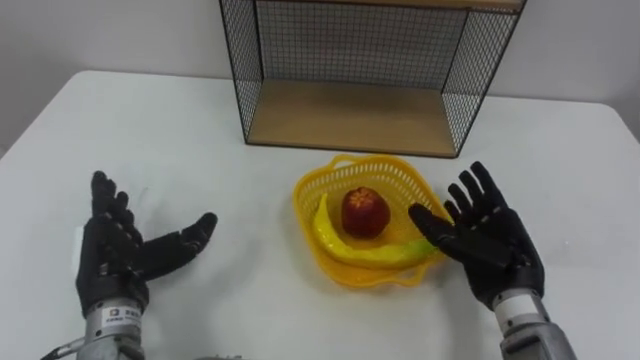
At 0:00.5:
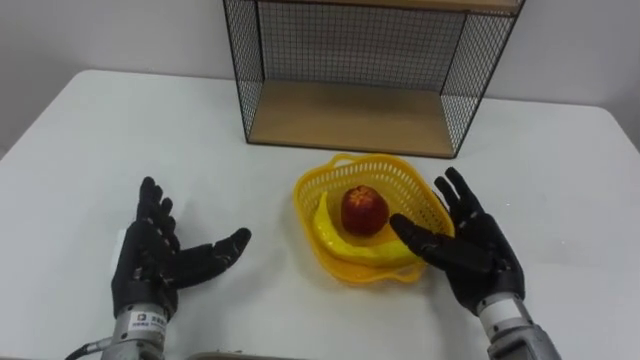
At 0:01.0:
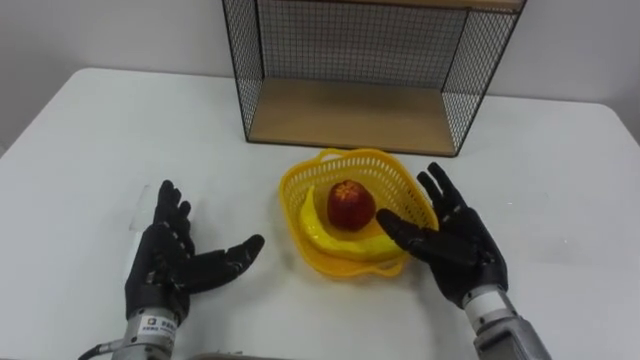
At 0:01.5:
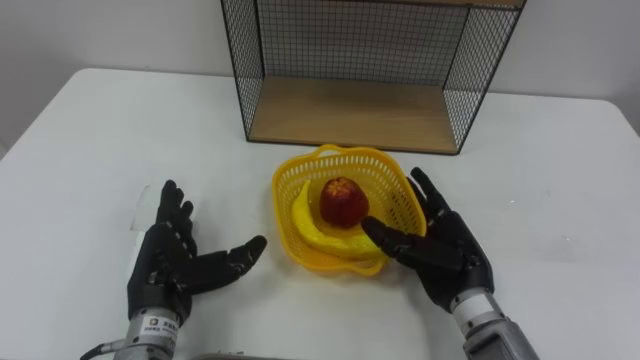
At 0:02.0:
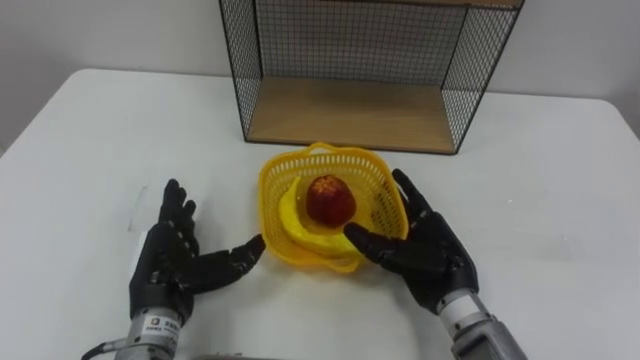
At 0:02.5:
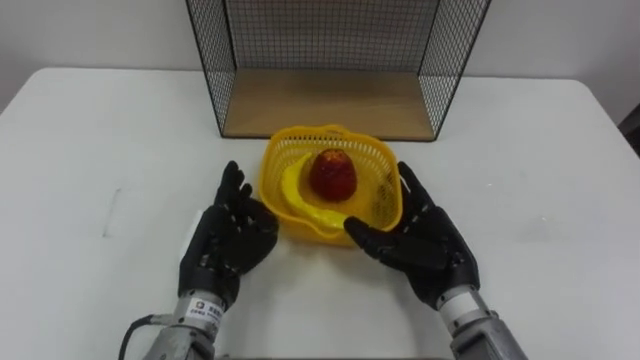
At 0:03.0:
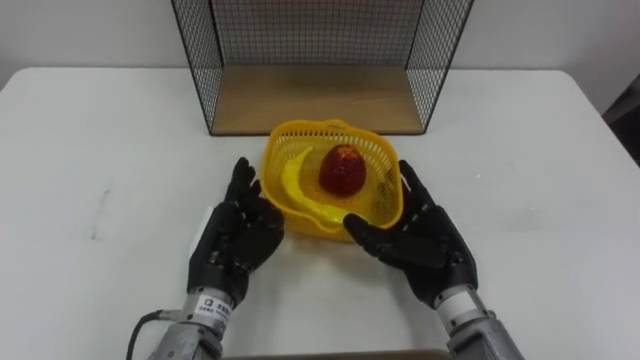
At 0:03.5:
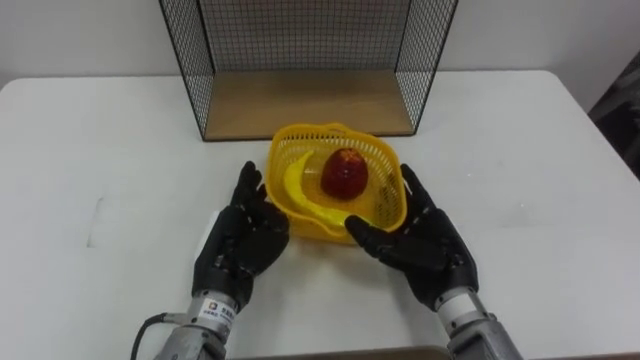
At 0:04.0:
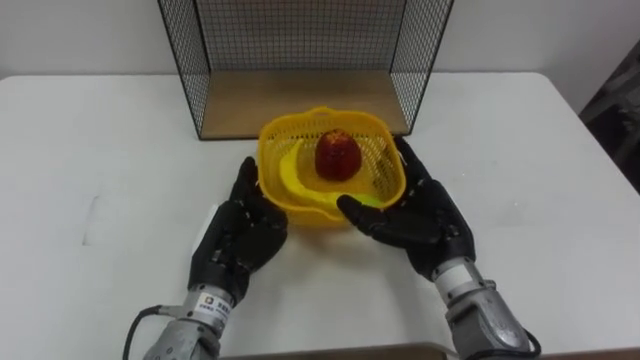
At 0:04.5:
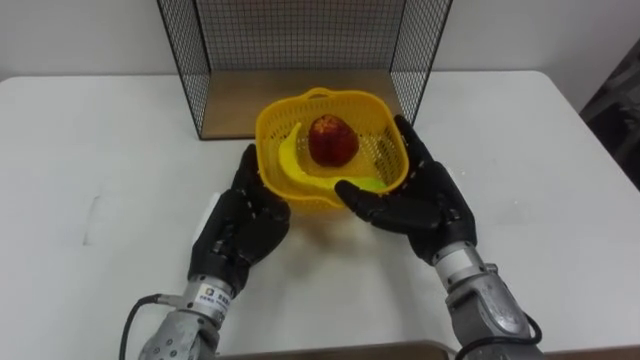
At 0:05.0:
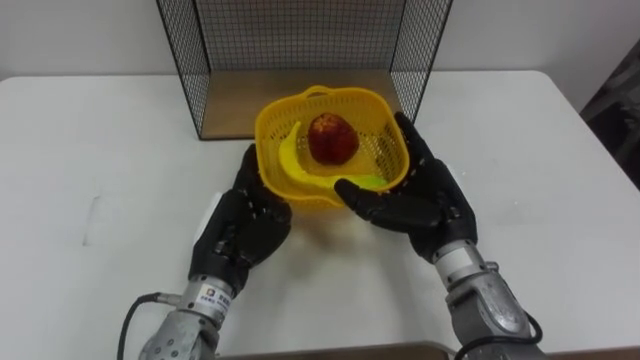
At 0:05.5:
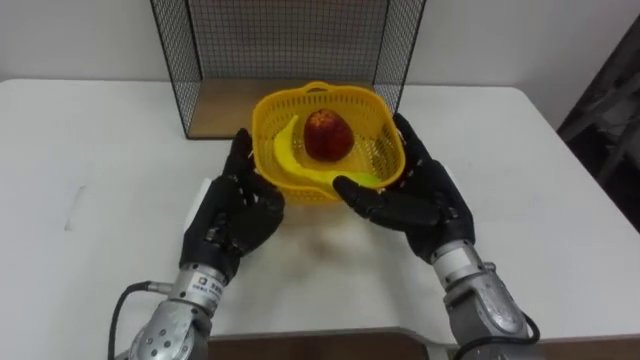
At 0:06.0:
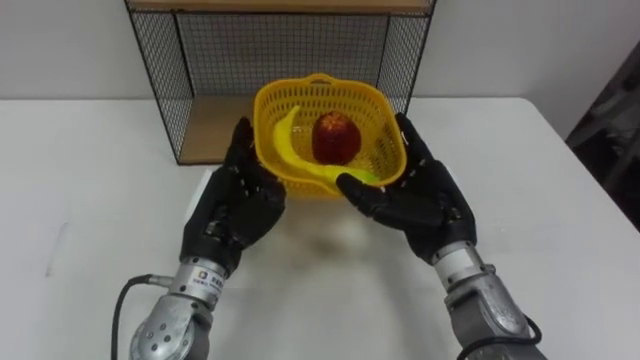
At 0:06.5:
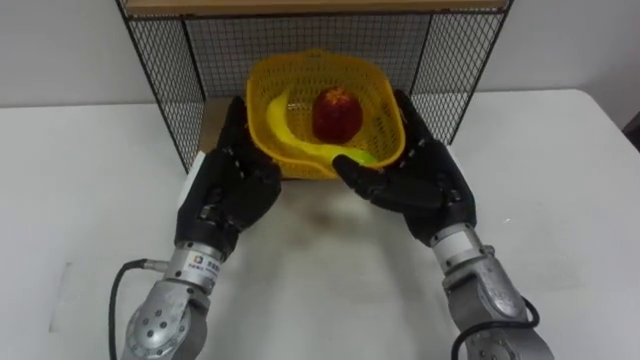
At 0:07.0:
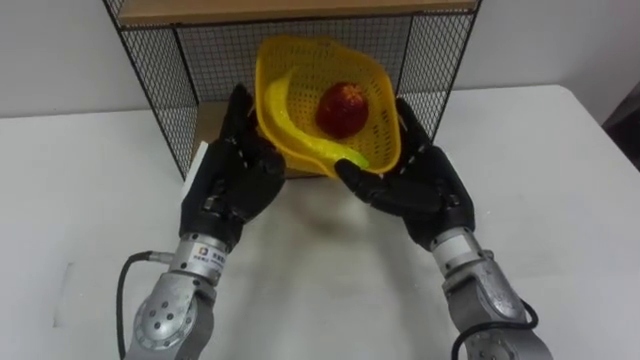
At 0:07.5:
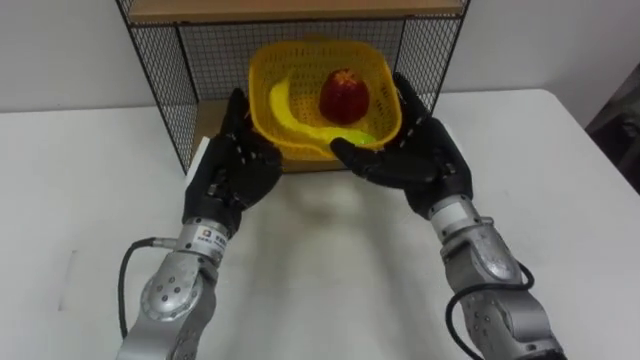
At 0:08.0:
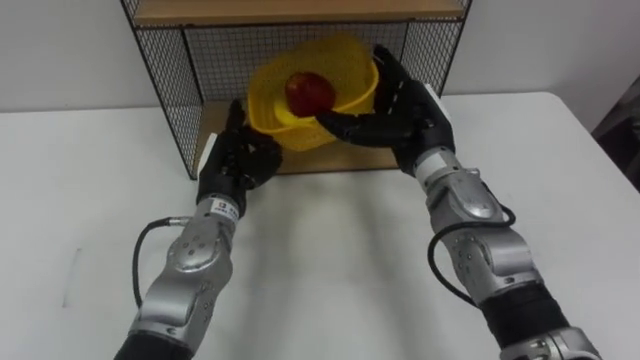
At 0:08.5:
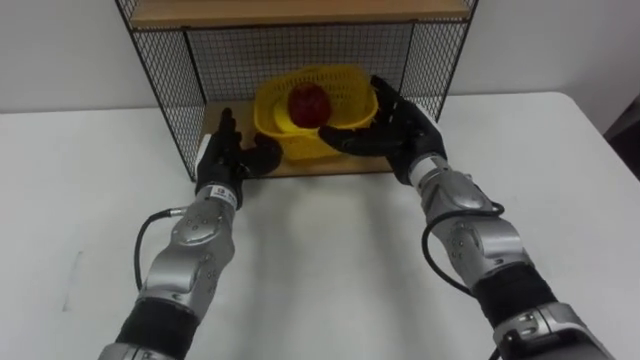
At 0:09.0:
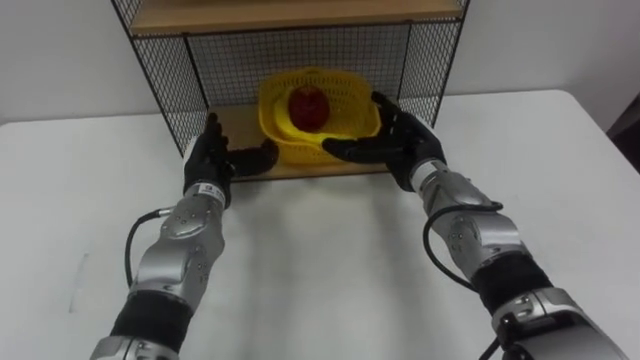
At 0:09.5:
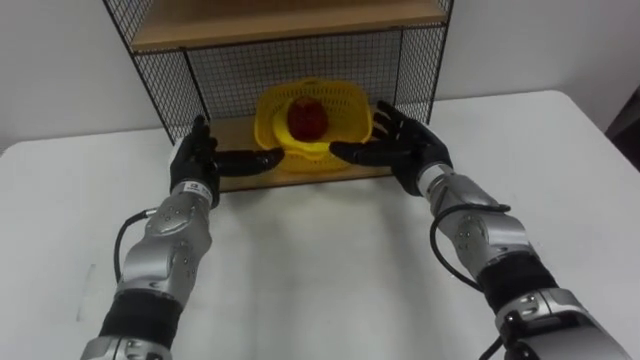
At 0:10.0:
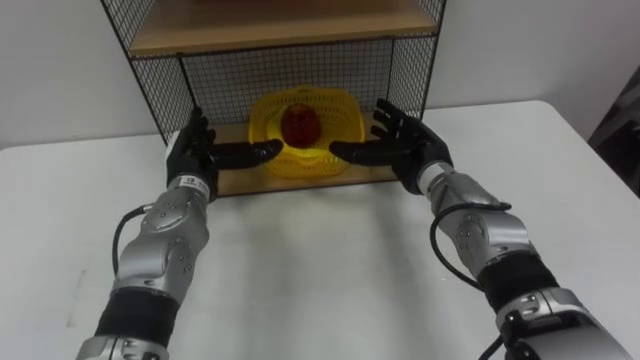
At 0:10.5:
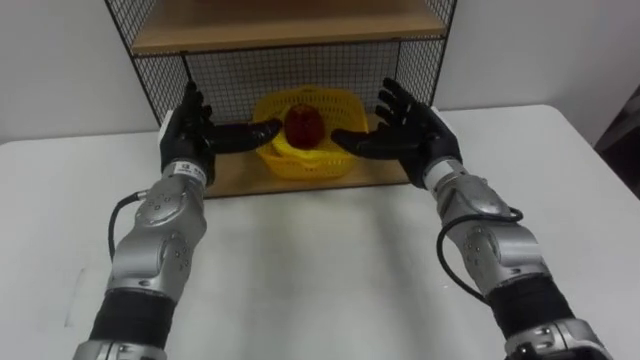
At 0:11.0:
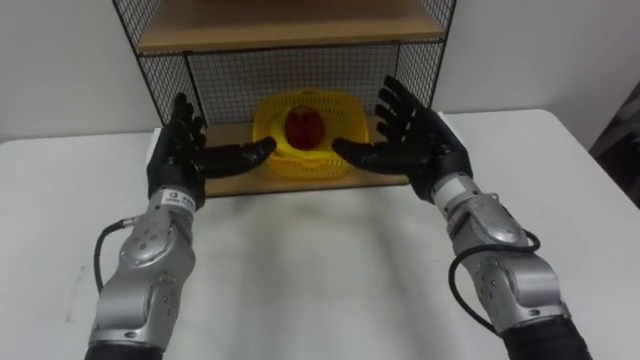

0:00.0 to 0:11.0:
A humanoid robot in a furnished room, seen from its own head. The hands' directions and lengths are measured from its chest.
Task of the whole recording: Put the fruit on the table into the basket, then place the basket on the shelf.
0:00.0 to 0:02.0: The left hand shifts about 5 cm to the right. Meanwhile the right hand goes some 10 cm to the left.
0:02.0 to 0:03.5: The left hand goes roughly 10 cm to the right.
0:03.5 to 0:05.5: The right hand ends up roughly 5 cm from where it was.
0:07.5 to 0:09.0: The left hand travels forward and downward by some 10 cm, while the right hand travels forward by roughly 5 cm.
0:09.0 to 0:11.0: The left hand changes place by some 5 cm. Meanwhile the right hand moves approximately 5 cm.

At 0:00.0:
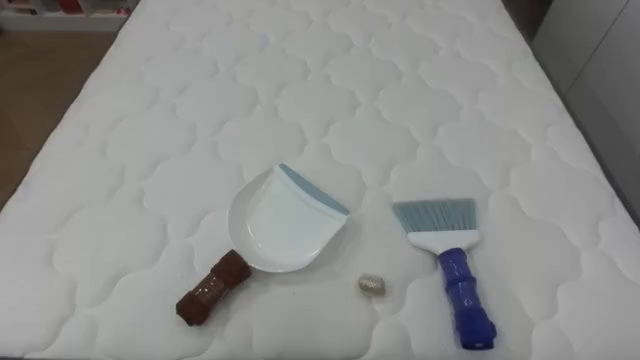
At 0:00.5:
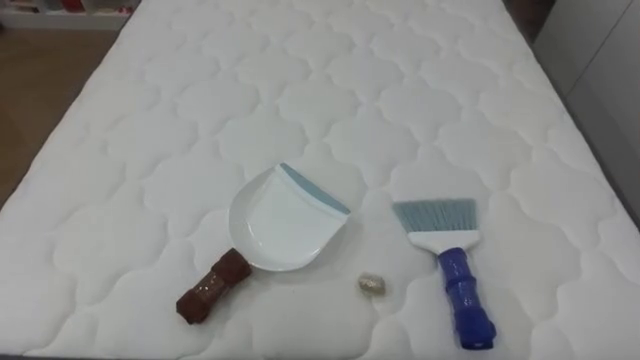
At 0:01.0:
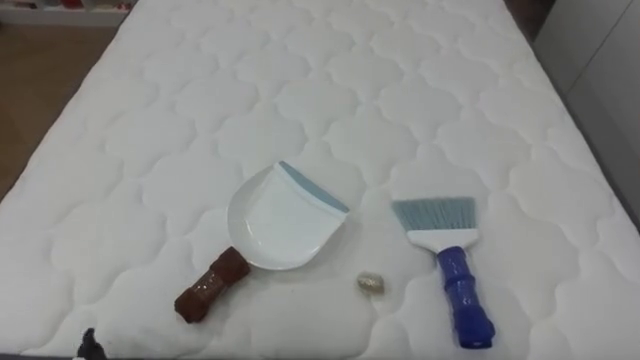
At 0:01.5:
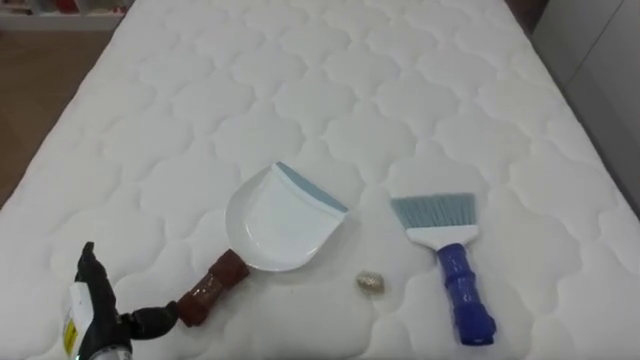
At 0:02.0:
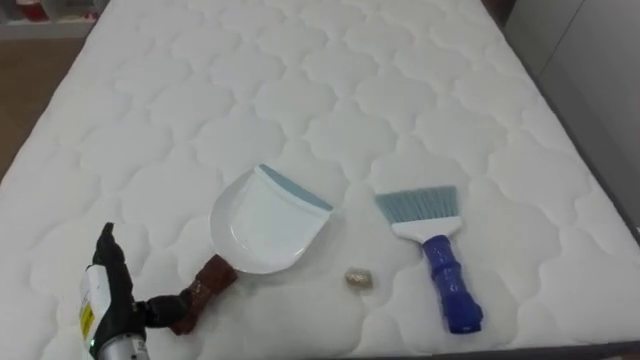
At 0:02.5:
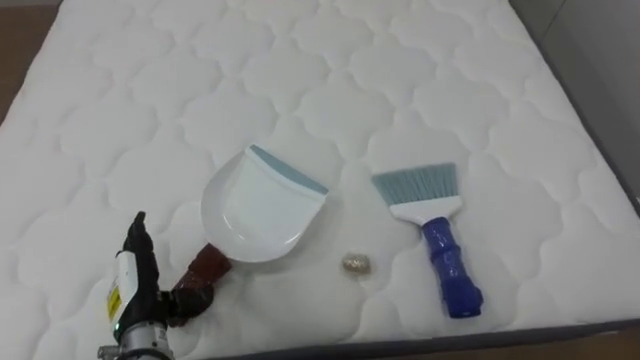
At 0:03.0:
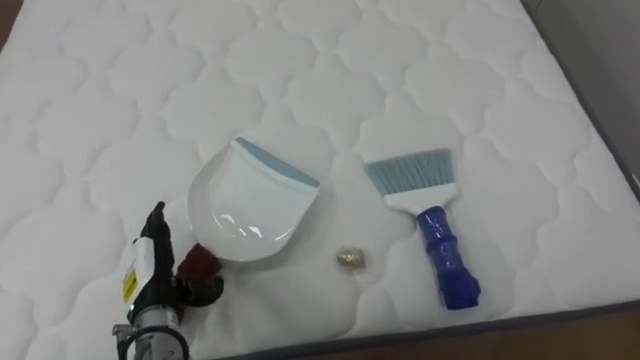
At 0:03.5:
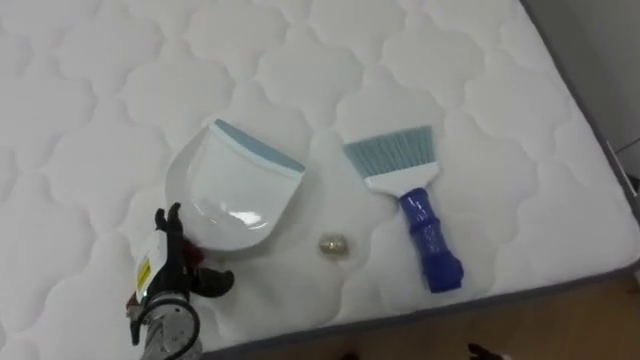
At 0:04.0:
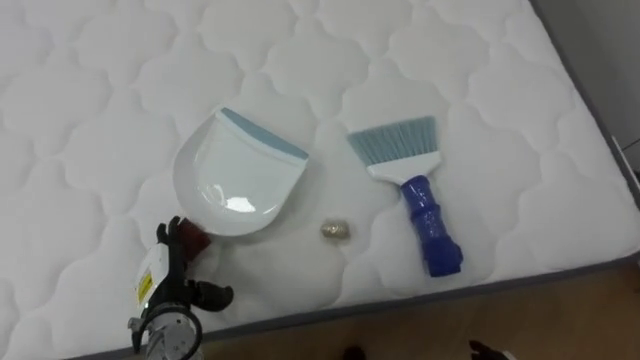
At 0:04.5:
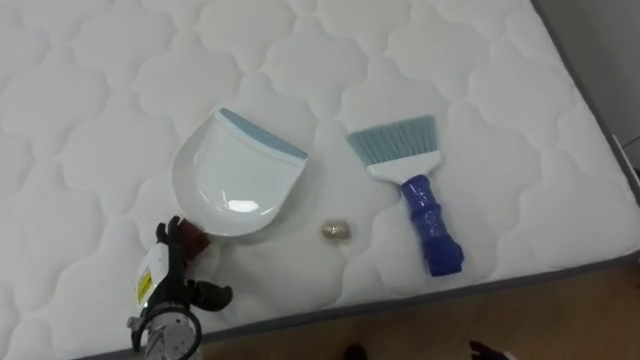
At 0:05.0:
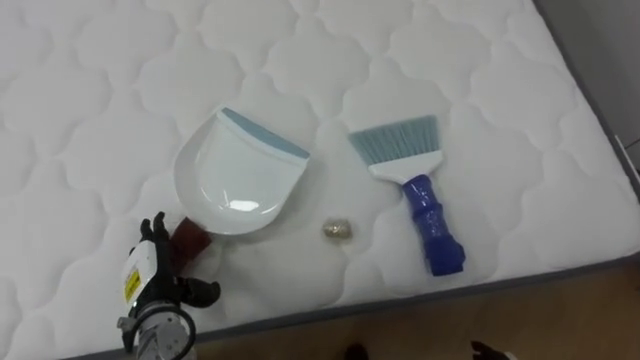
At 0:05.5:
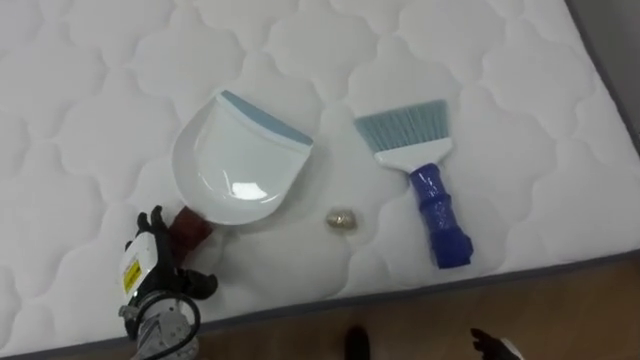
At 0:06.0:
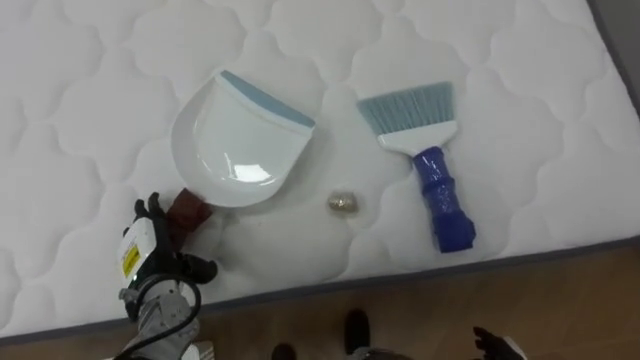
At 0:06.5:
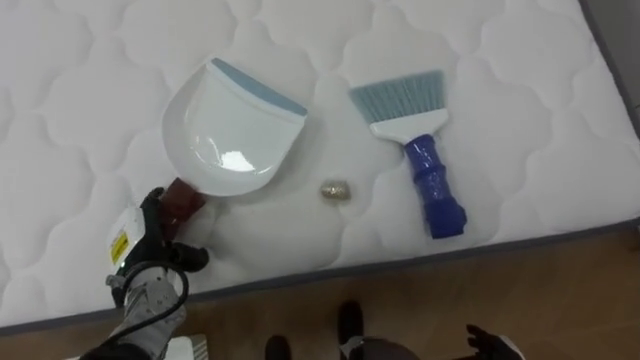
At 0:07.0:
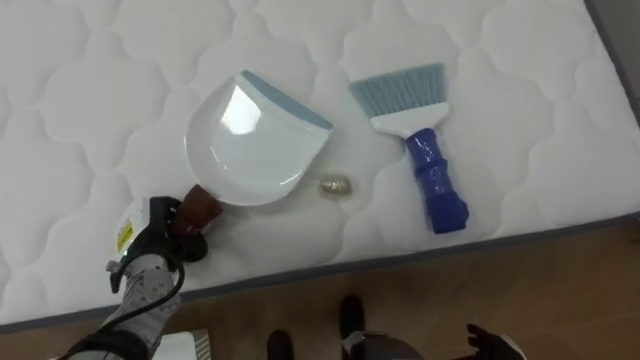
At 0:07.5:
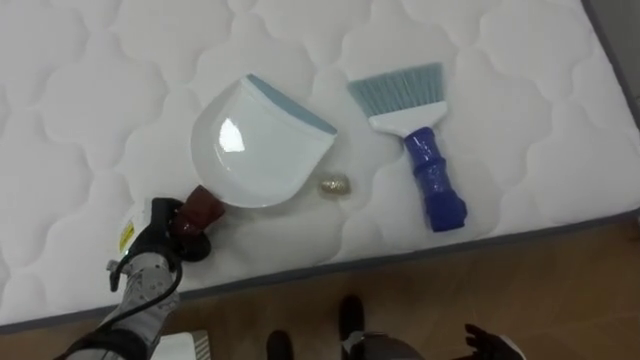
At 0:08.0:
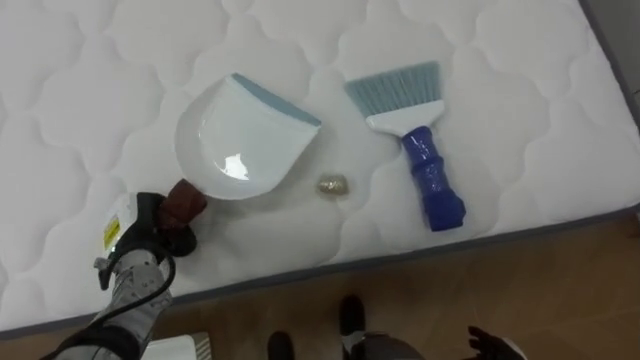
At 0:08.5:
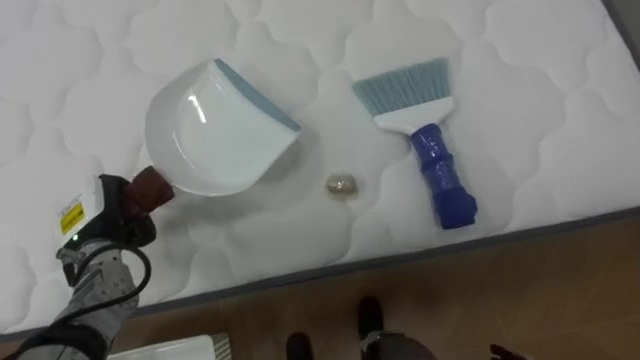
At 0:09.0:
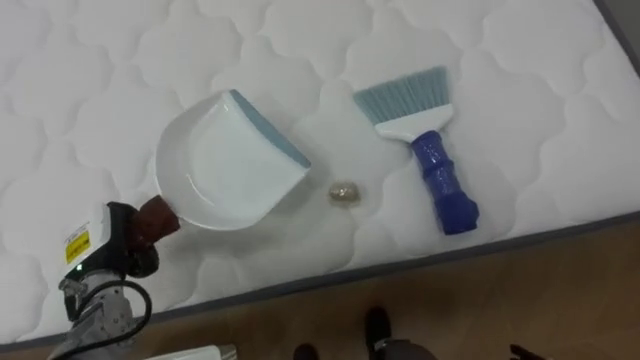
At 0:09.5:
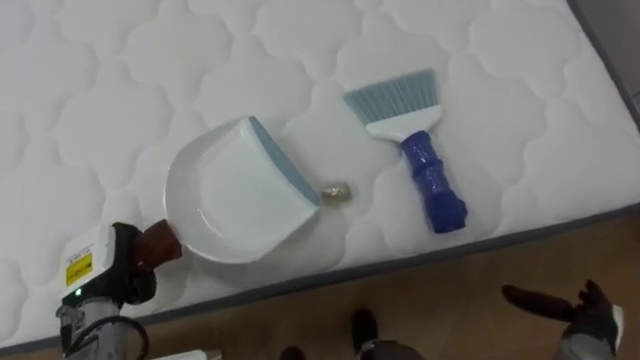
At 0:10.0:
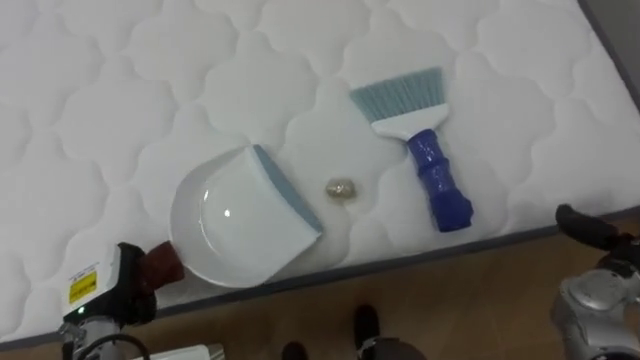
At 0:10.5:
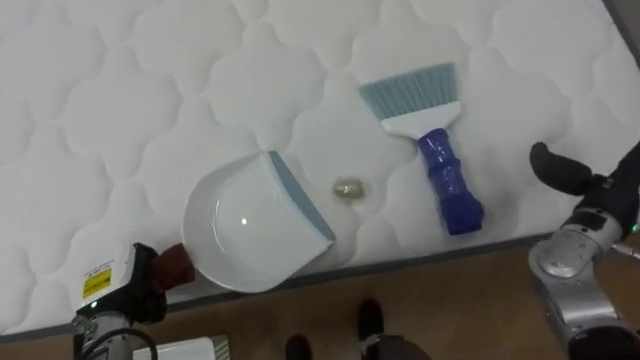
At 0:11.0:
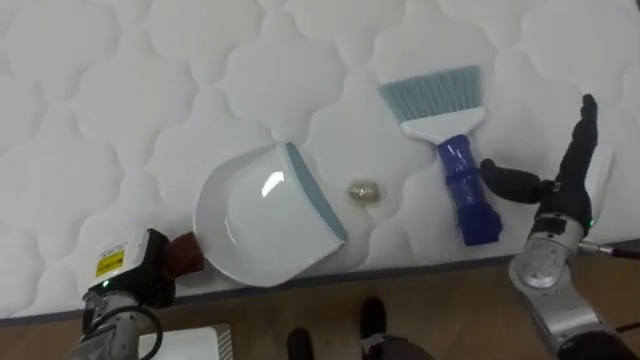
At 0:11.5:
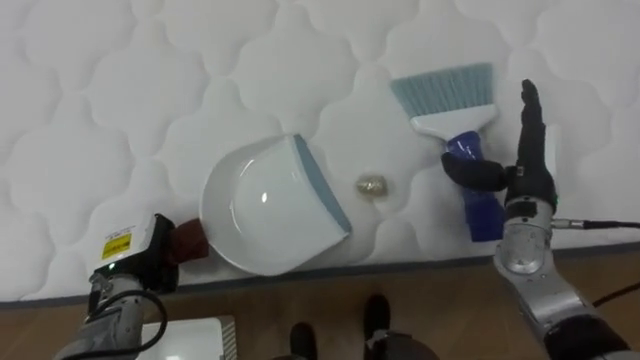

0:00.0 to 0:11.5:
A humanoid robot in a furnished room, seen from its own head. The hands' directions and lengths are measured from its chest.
Task of the whole recording: Pick up the brush on your right and the dustpan on your left. Use the brush to sweep the crumpled paper on the bed into the dustpan, then turn left and empty it into the basket.
0:02.0 to 0:04.0: The left hand goes about 5 cm to the right.
0:06.0 to 0:07.5: The left hand closes.
0:07.5 to 0:09.5: The left hand moves backward and to the left, some 5 cm.
0:09.5 to 0:11.5: The right hand is displaced upward, forward and to the left by some 25 cm.
